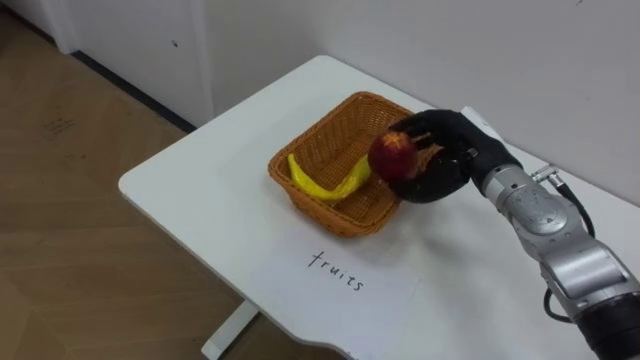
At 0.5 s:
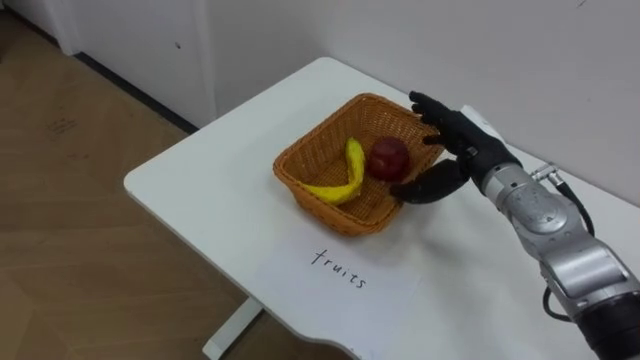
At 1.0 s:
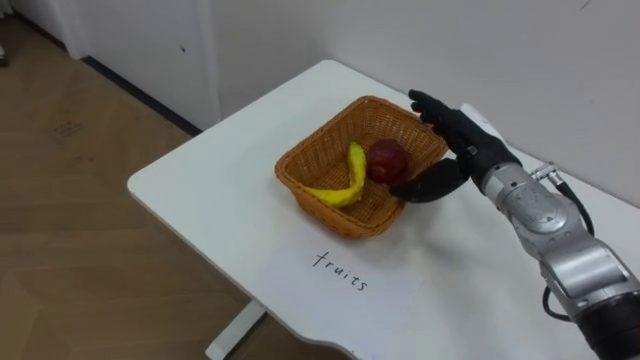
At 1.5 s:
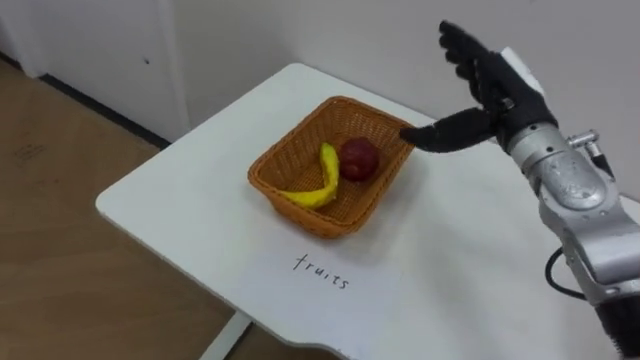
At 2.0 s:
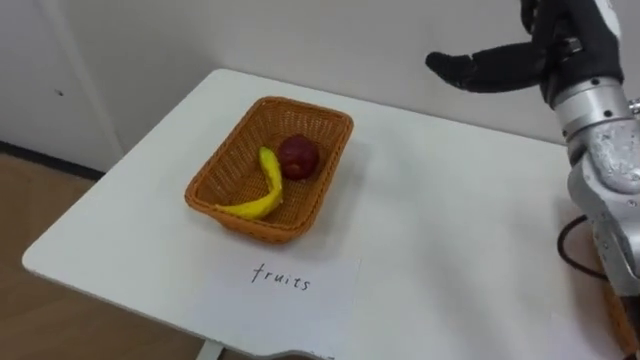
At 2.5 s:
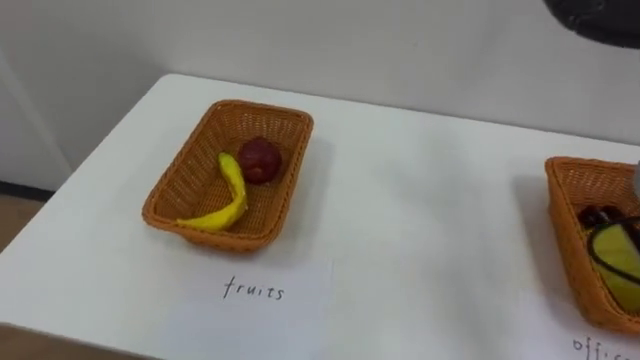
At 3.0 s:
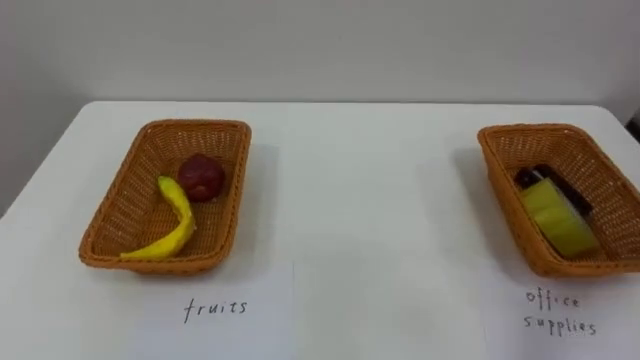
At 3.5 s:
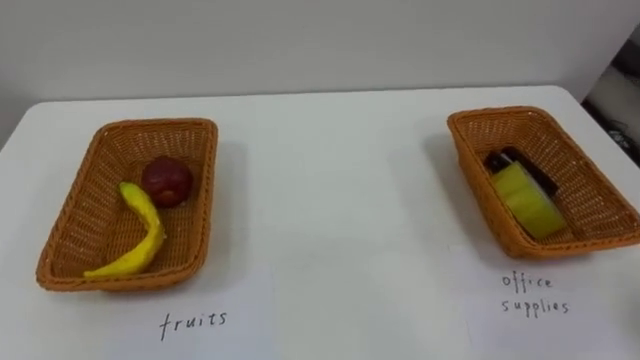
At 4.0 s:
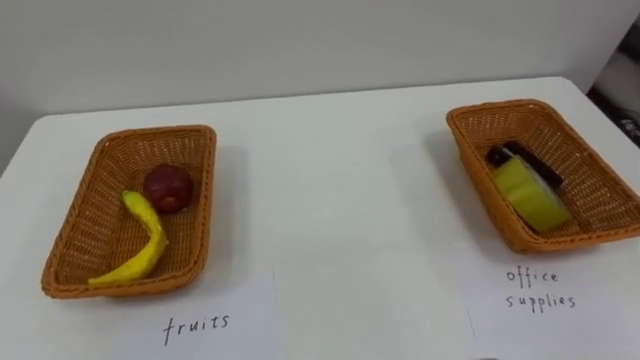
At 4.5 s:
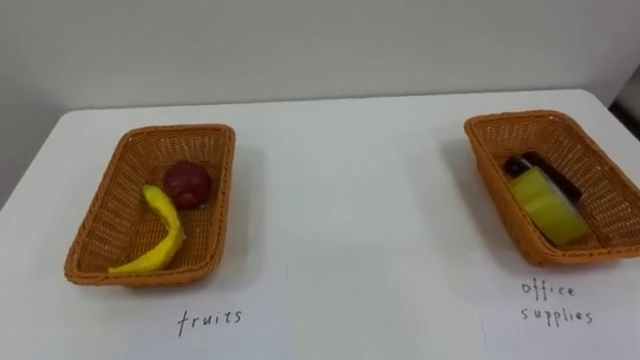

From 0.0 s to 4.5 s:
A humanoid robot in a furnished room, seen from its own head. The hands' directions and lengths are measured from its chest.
Task of the whole recording: Separate the items on the table and place them into the two baskets.
From 0.0 s to 2.0 s: The right hand heads upward, covering some 15 cm, and opens up.

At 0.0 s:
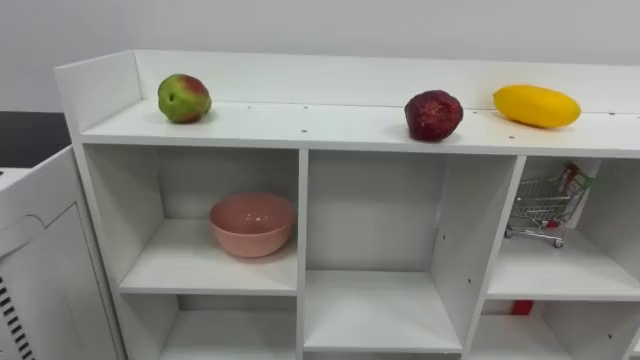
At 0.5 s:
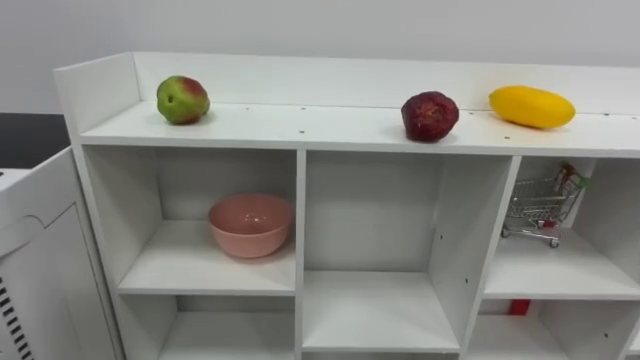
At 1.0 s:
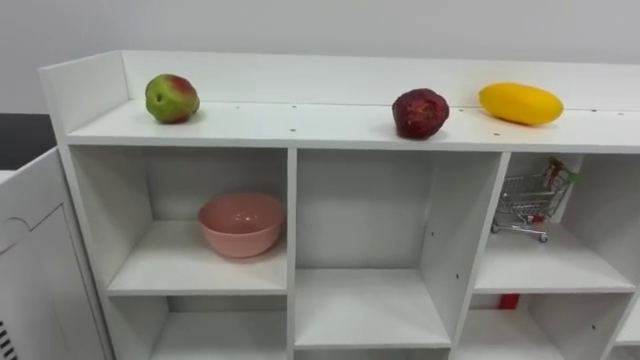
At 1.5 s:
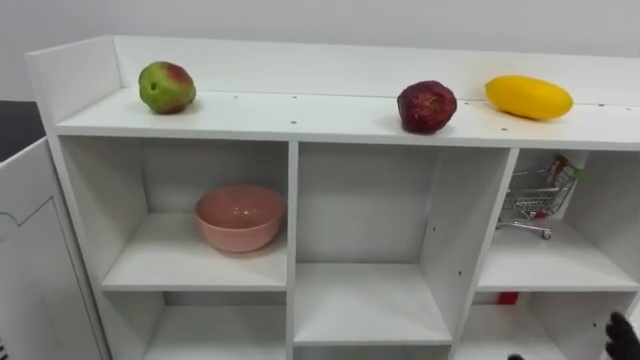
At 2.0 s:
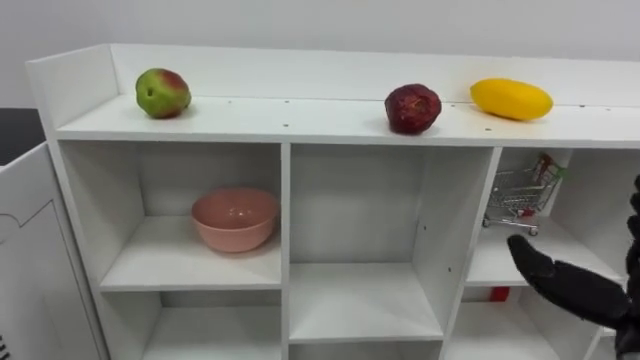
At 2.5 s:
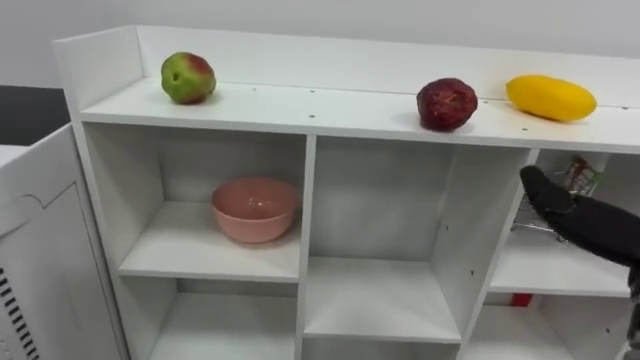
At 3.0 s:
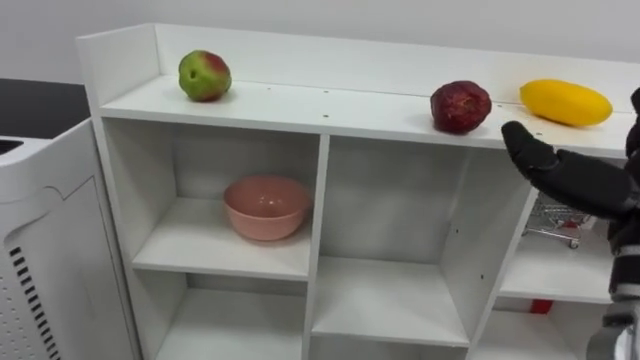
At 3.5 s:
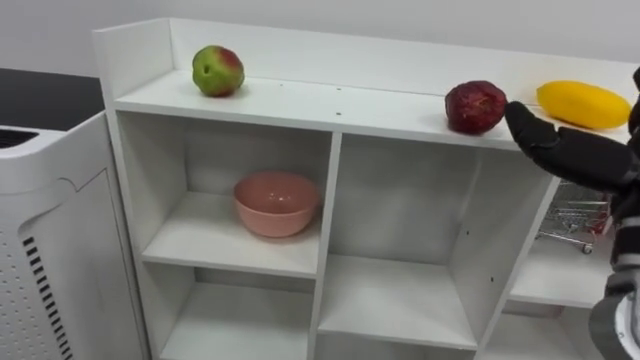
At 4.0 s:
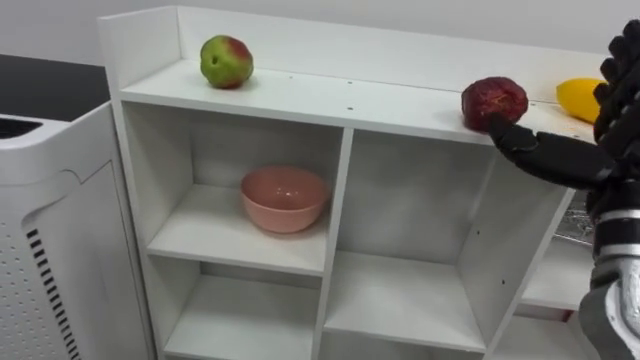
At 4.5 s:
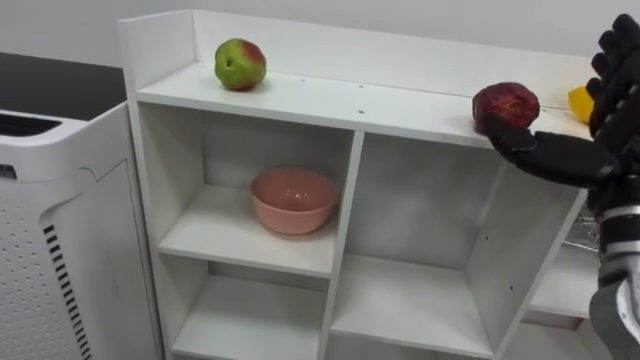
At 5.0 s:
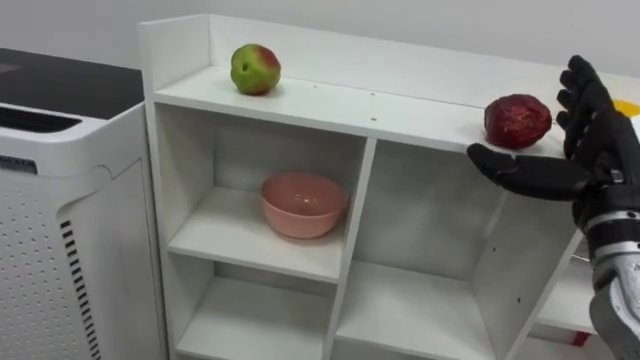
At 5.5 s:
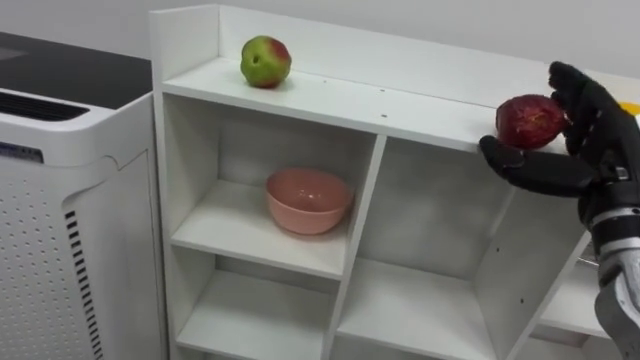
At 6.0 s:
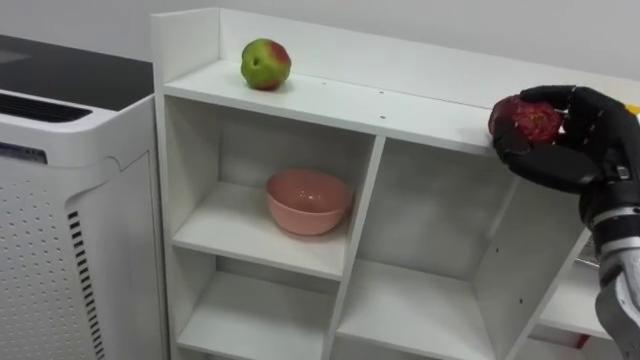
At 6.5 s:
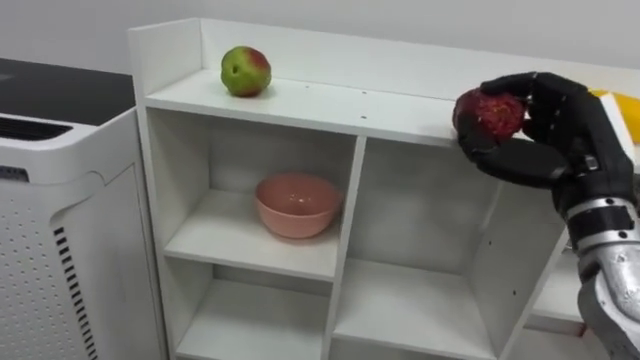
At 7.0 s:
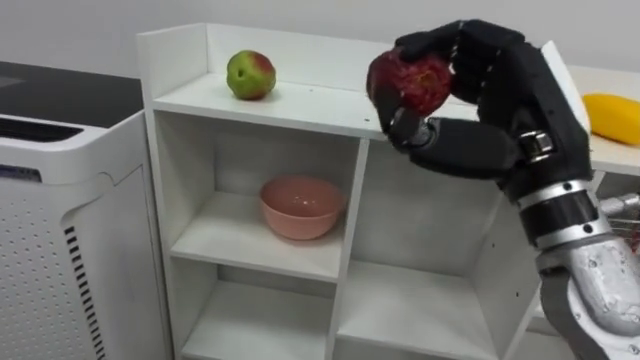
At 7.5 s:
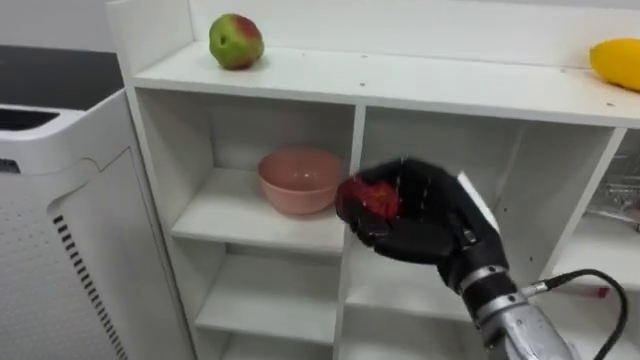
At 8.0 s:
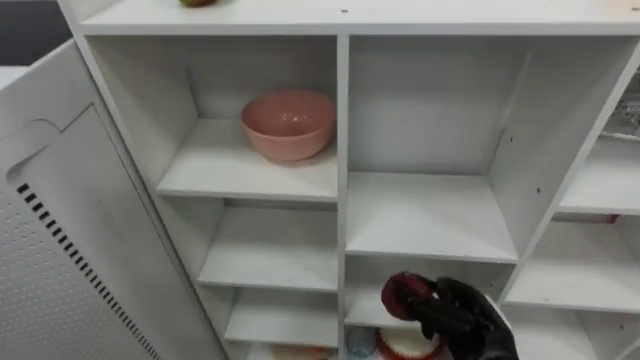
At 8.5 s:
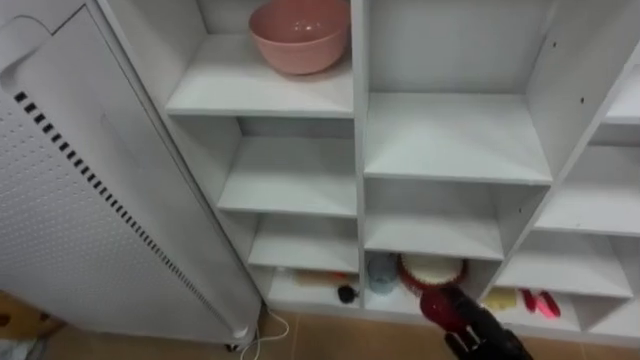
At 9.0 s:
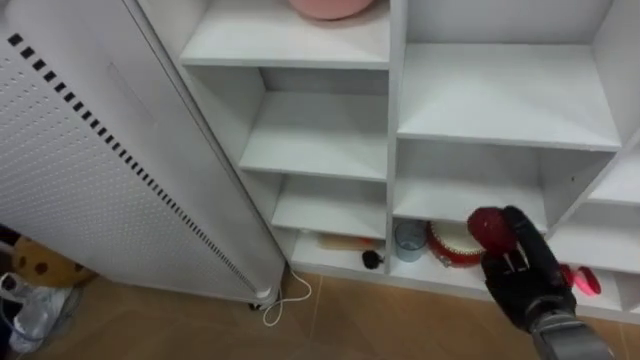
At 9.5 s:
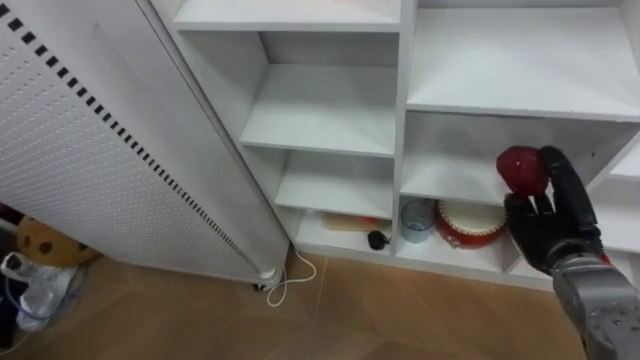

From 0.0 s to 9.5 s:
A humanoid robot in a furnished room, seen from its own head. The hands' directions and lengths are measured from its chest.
Task of the whole recording: Put the apple in the cell in the second column from the left and the second row from the top.
From 5.5 s to 7.5 s: The right hand is displaced to the left by about 15 cm, and closes up.

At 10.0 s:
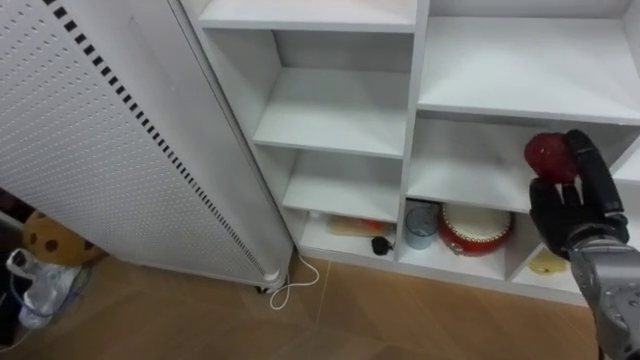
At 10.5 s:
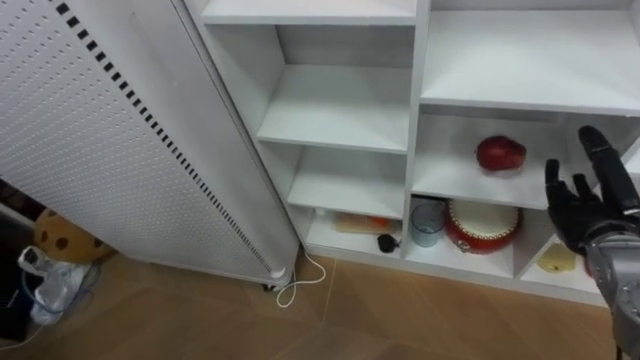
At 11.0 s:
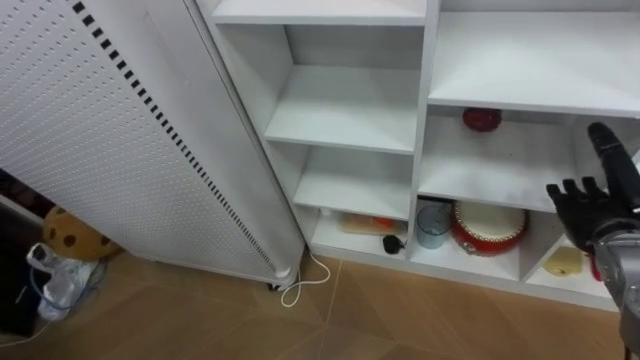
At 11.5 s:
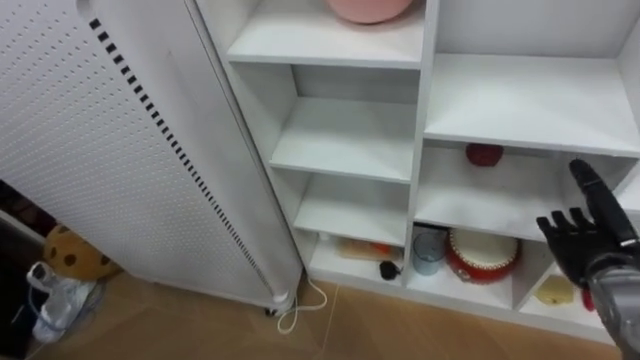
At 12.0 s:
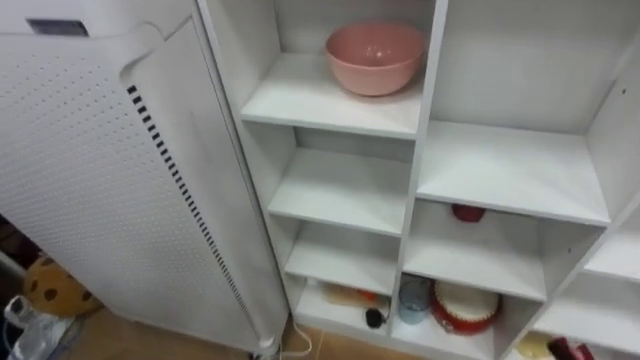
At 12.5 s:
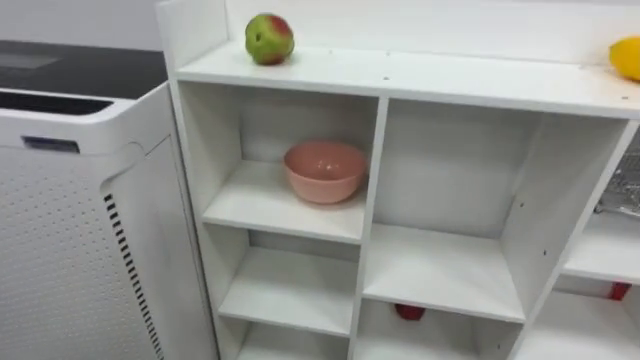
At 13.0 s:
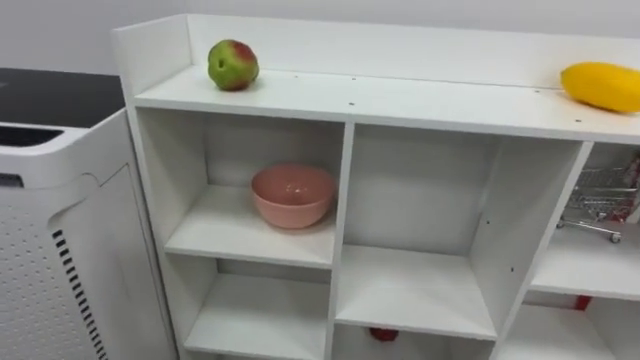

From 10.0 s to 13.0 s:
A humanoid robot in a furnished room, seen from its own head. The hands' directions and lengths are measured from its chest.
Task of the whole recording: Put the apple in the cell in the second column from the left and the second row from the top.
From 10.0 s to 11.5 s: The right hand opens.

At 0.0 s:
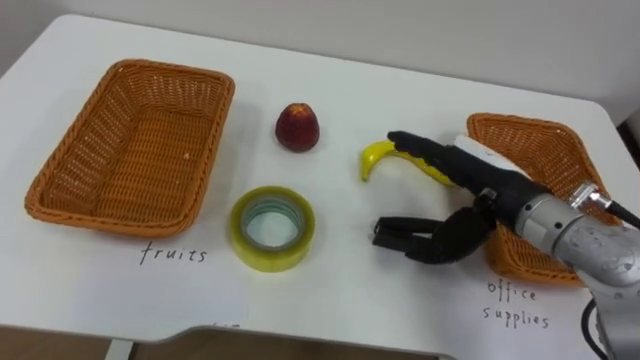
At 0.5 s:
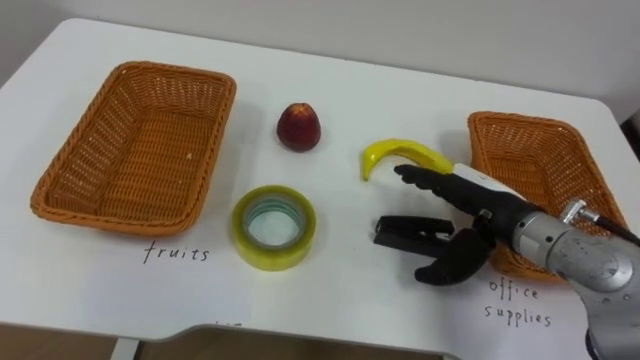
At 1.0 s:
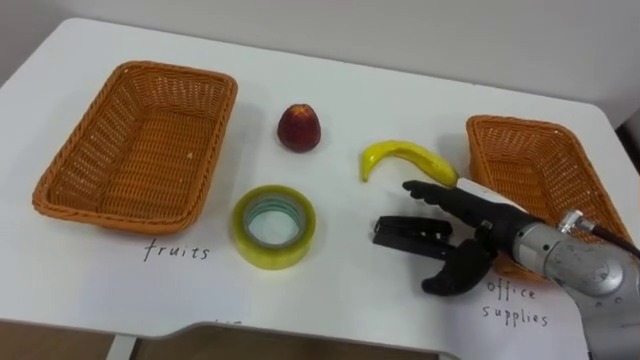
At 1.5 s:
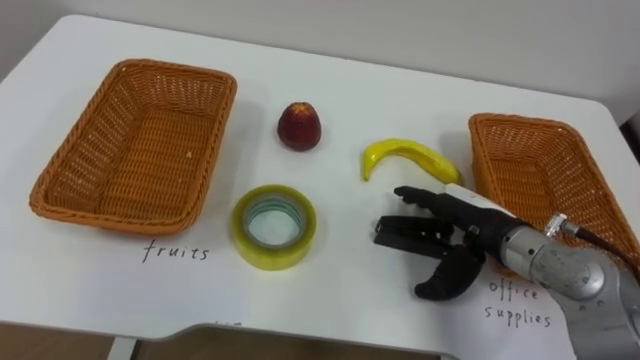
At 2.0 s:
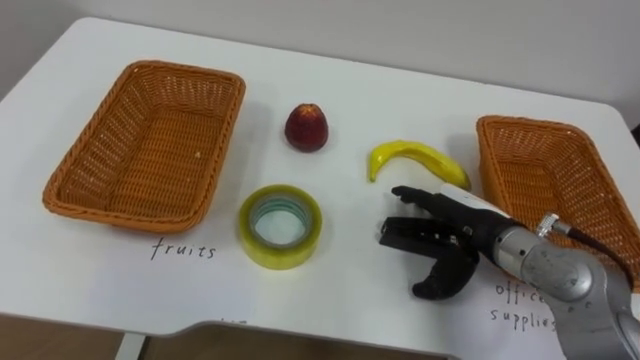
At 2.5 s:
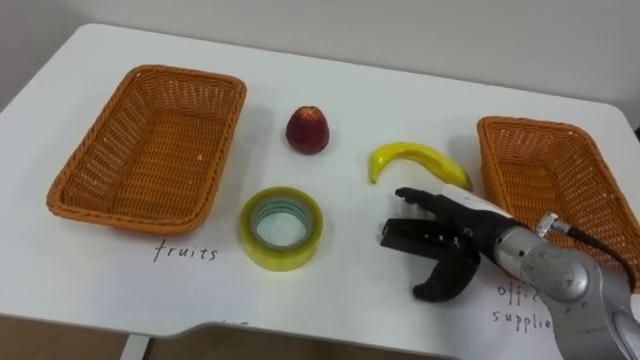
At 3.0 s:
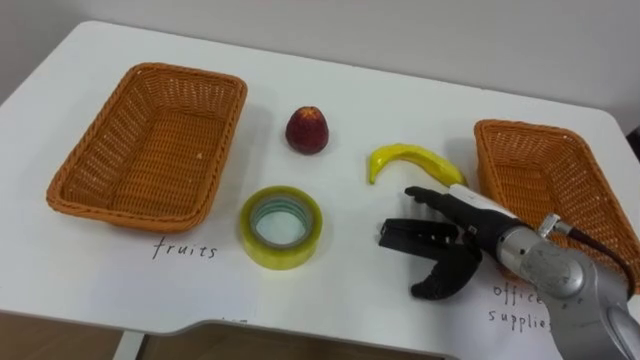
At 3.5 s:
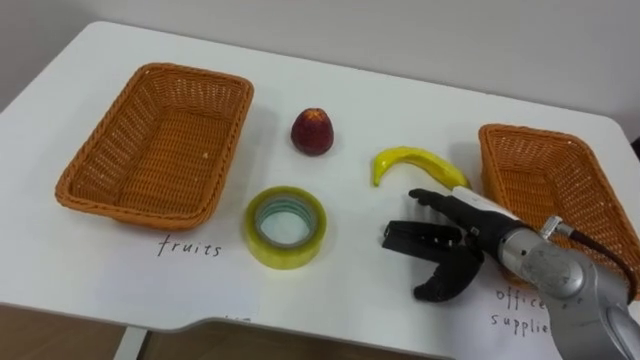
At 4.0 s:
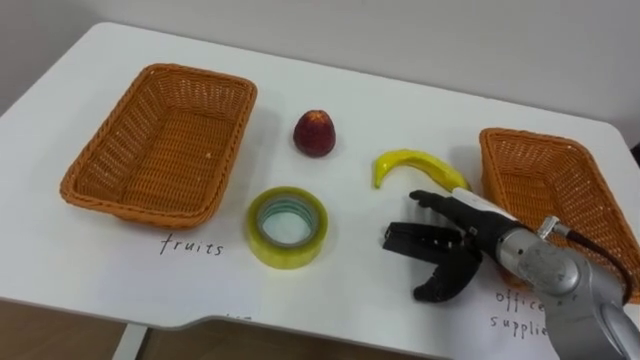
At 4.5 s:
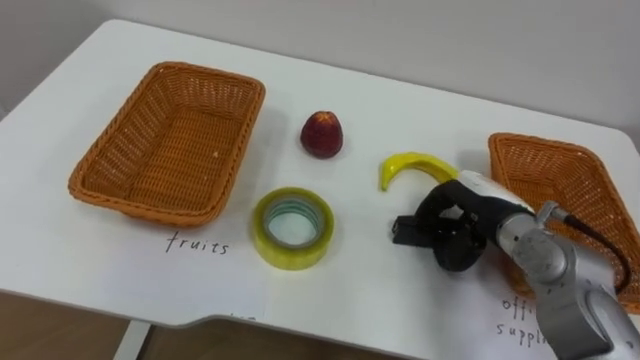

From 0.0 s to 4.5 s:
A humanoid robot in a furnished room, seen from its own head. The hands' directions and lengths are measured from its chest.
Task of the whole recording: Separate the items on the table and place them into the two baskets.
From 0.0 s to 2.0 s: The right hand is displaced downward by roughly 5 cm.
From 2.0 s to 4.5 s: The right hand closes.
